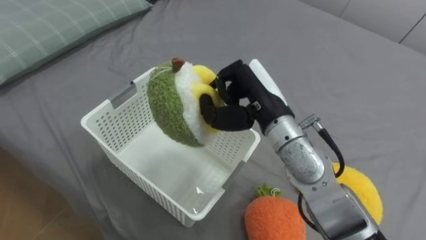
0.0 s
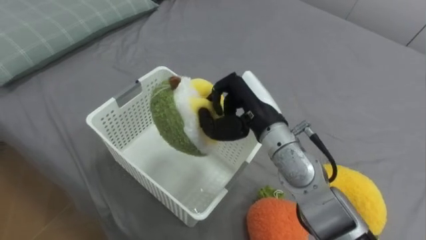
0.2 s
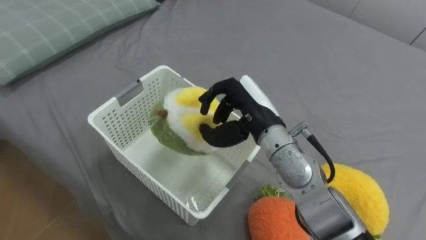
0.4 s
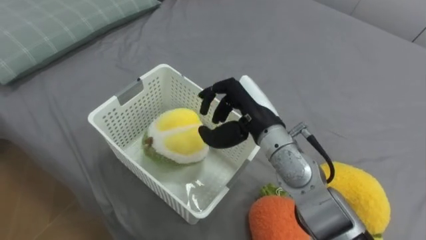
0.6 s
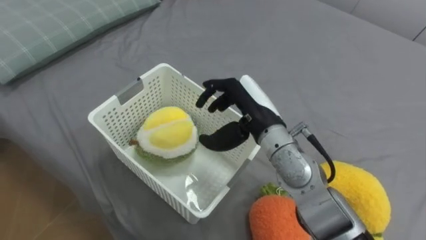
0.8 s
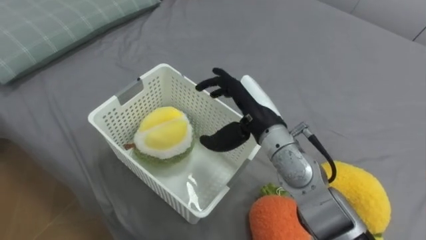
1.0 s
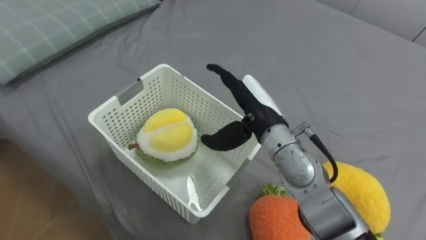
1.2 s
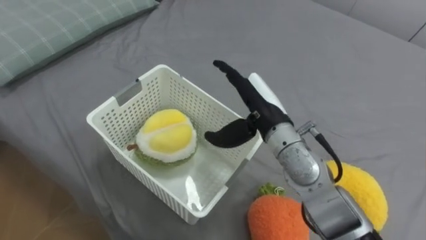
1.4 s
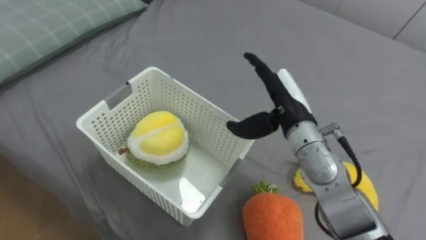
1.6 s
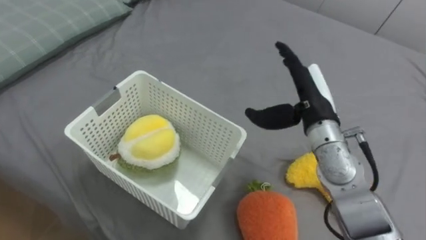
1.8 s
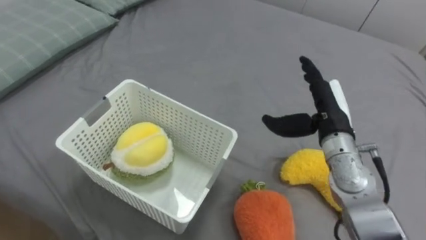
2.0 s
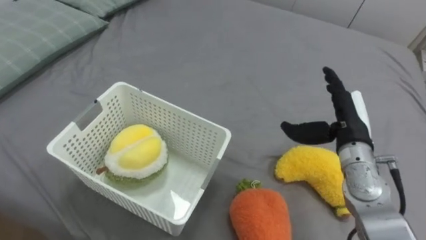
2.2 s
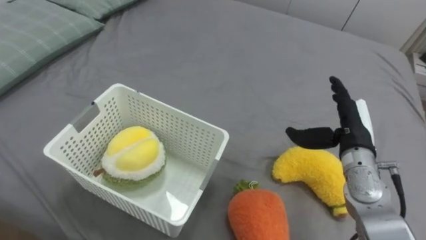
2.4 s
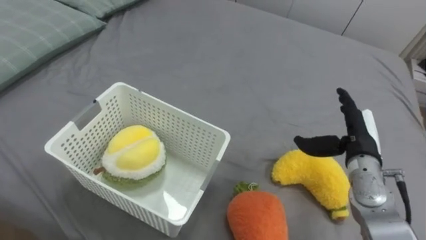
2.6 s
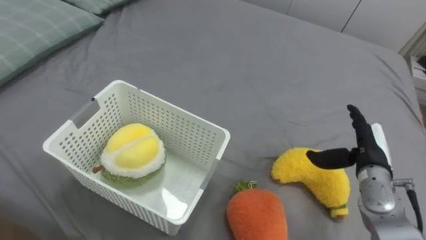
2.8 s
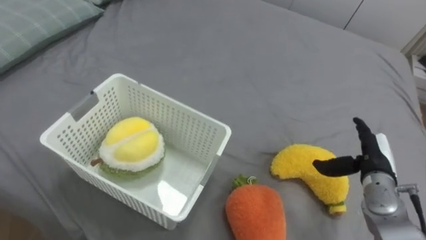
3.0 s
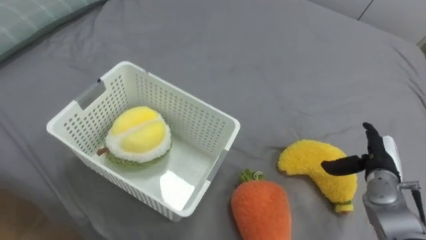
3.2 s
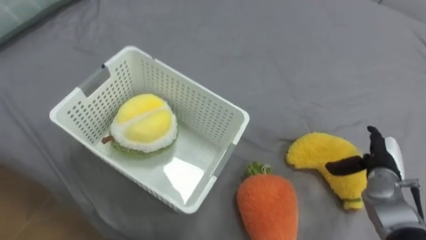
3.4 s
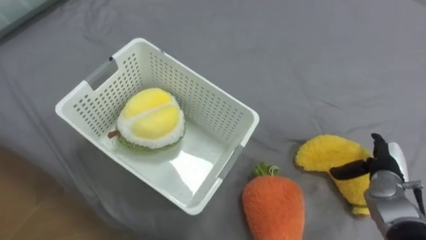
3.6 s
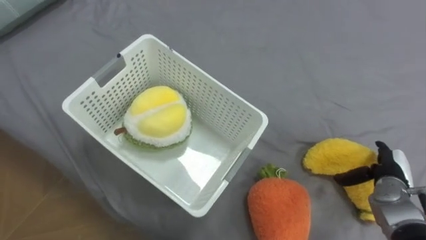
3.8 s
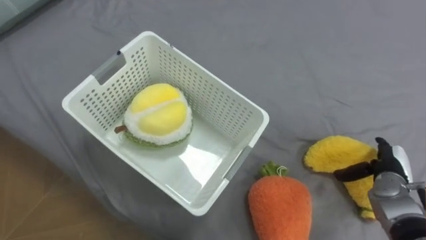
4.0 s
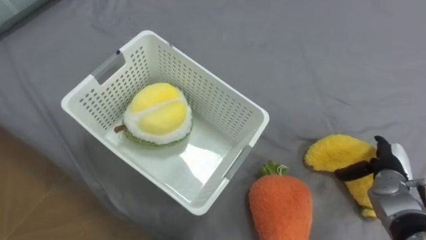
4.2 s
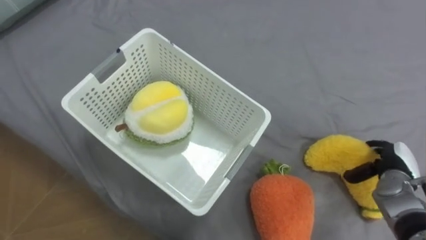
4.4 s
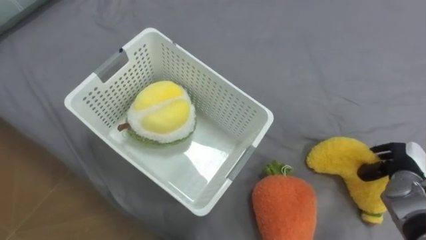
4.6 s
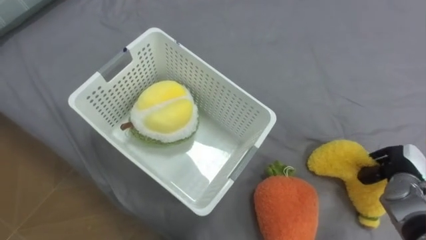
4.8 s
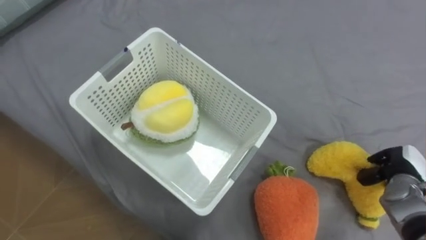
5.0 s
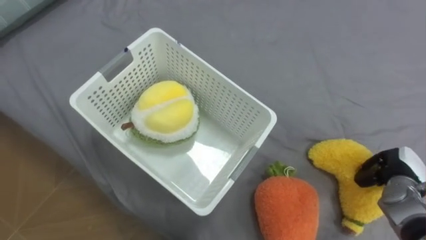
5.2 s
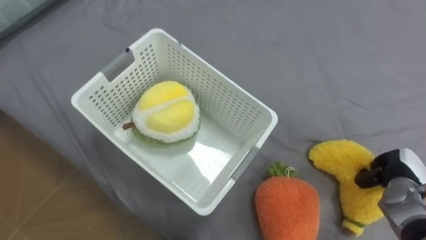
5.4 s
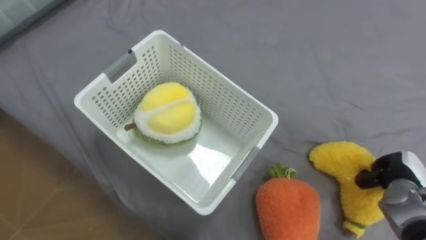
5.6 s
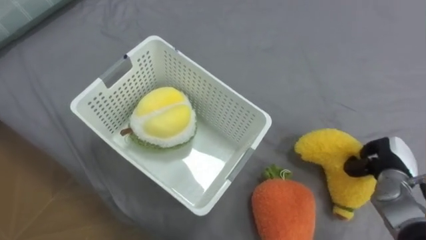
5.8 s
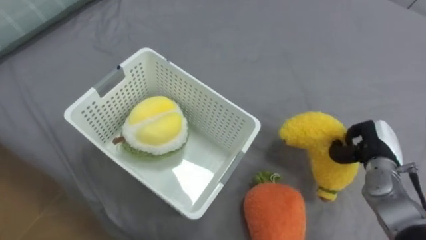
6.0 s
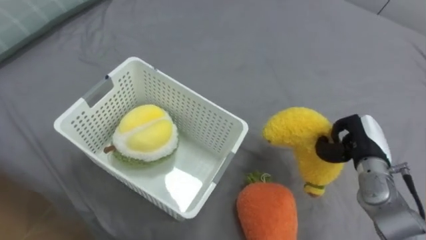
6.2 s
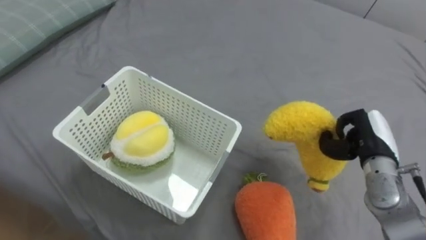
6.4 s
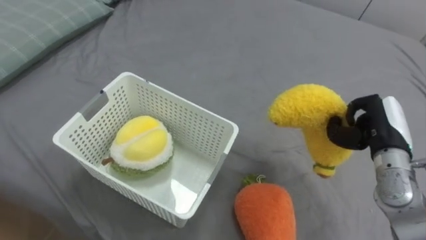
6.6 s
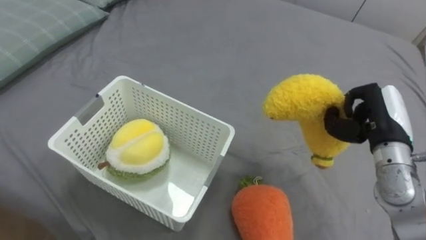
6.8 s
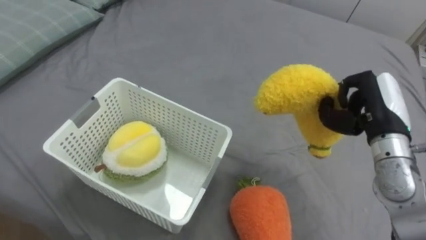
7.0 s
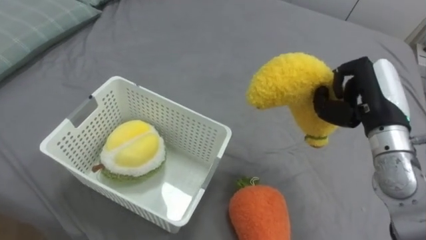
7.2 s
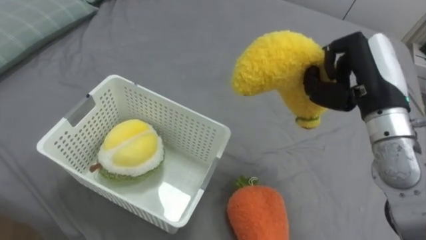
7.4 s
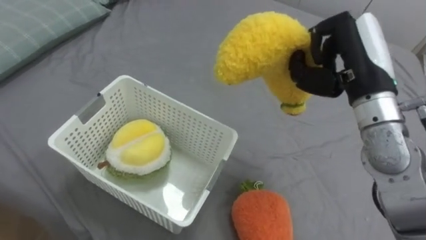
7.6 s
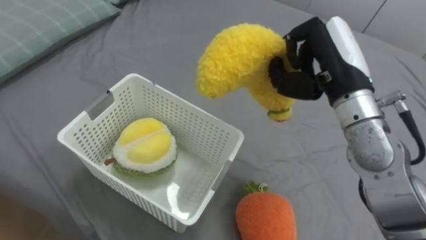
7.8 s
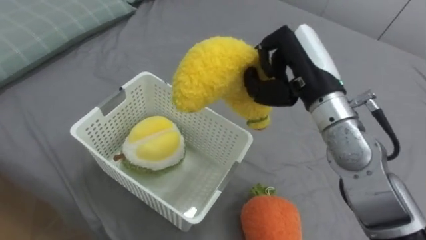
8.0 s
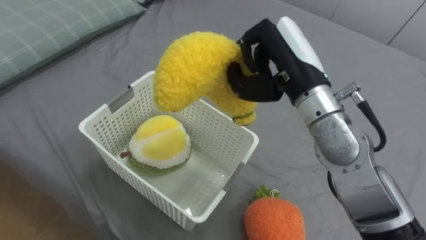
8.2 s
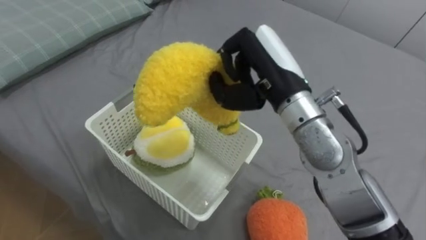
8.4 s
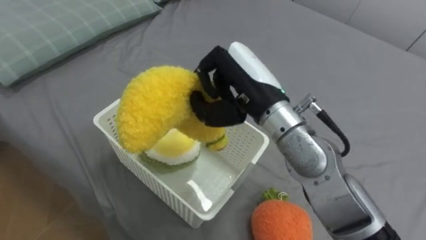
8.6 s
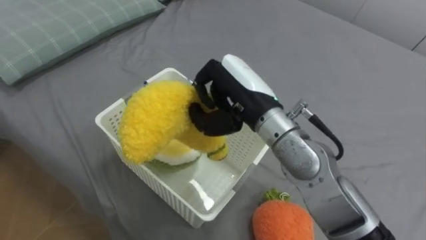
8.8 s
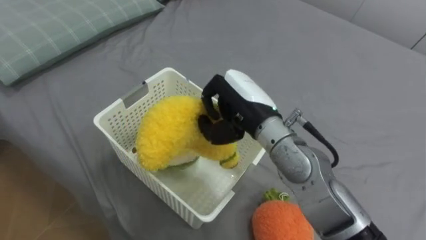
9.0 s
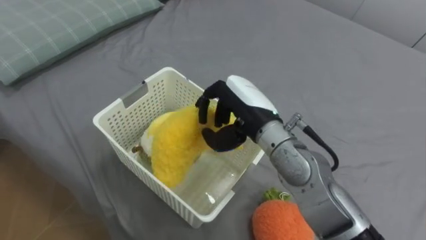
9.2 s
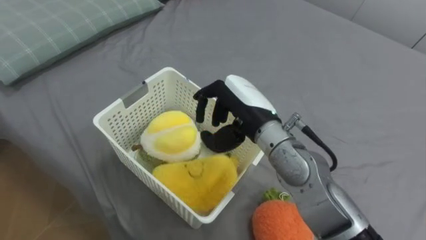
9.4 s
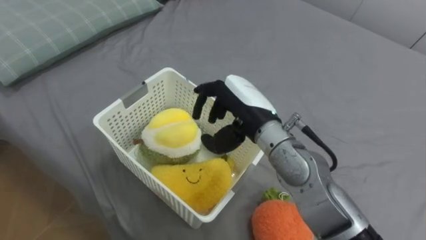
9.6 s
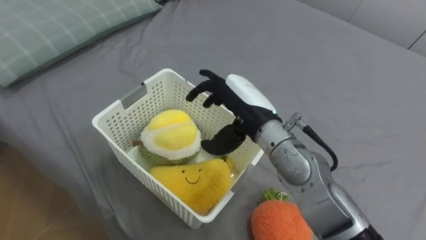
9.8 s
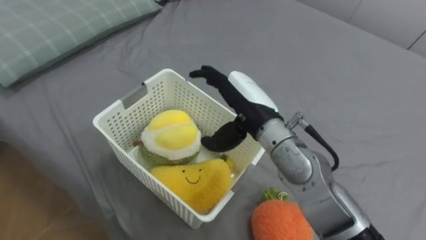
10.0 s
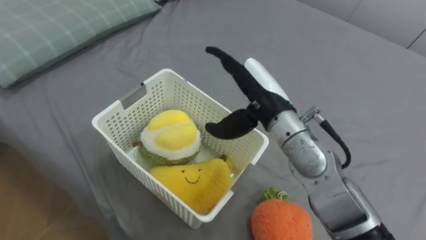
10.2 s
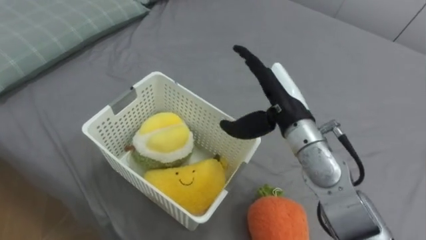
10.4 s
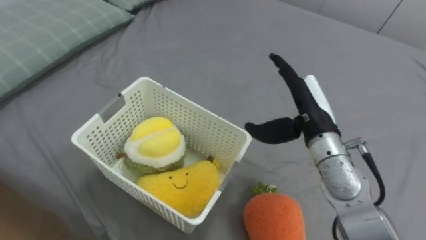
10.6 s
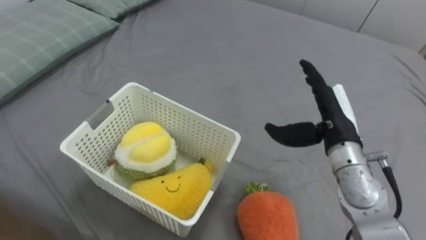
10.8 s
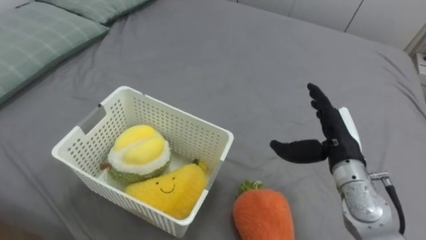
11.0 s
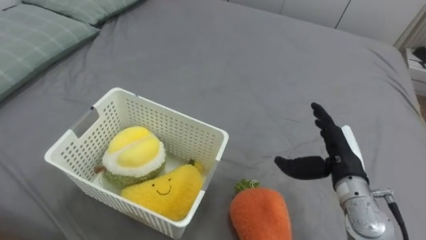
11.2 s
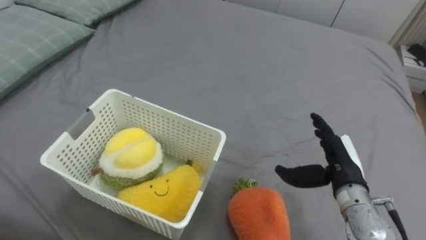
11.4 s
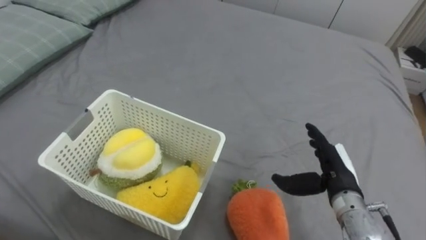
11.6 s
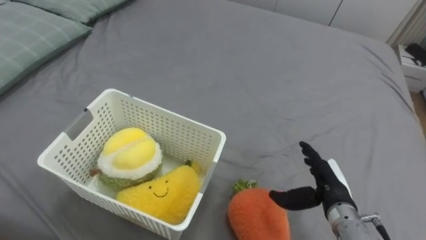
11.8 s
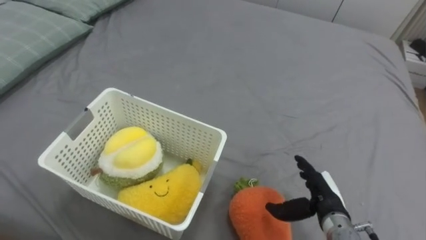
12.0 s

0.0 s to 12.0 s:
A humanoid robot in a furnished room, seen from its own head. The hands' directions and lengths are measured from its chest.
Task of the whole recording: Put the toys on the bed into the basket on the left.
0.0 to 1.6 s: The right hand is displaced to the right by approximately 5 cm, and opens its fingers.
1.6 to 3.0 s: The right hand heads to the right and downward, covering approximately 20 cm.
3.0 to 4.4 s: The right hand goes some 5 cm to the right.
4.4 to 6.0 s: The right hand changes place by about 5 cm, and closes its fingers.
6.0 to 7.6 s: The right hand travels upward and to the left by roughly 25 cm.
7.6 to 9.0 s: The right hand travels to the left and downward by roughly 15 cm.
9.0 to 10.4 s: The right hand shifts approximately 5 cm to the right, and opens its fingers.
10.4 to 12.0 s: The right hand moves downward, to the right and backward, some 25 cm.

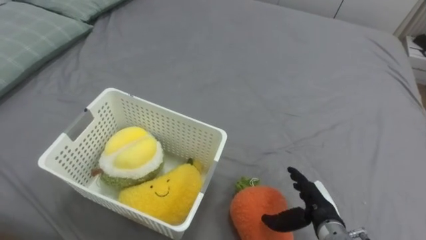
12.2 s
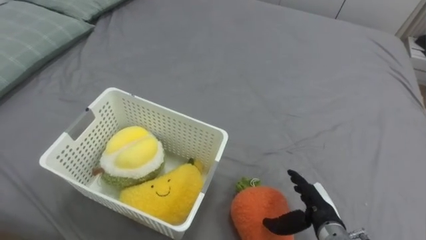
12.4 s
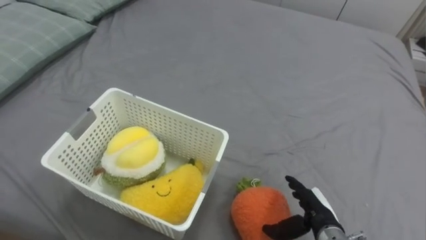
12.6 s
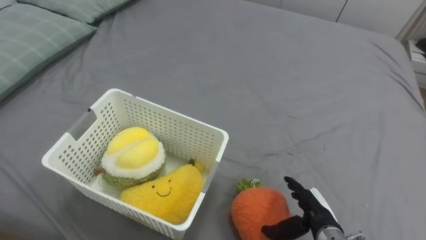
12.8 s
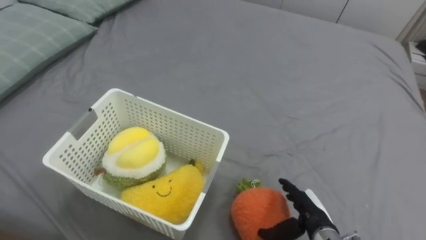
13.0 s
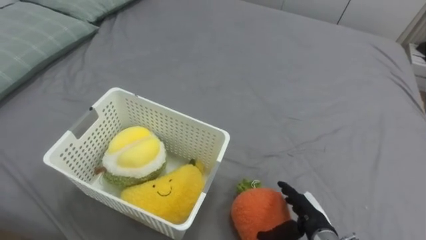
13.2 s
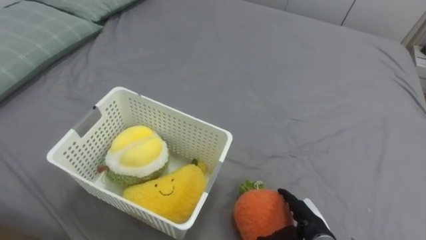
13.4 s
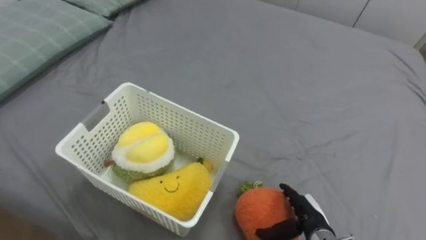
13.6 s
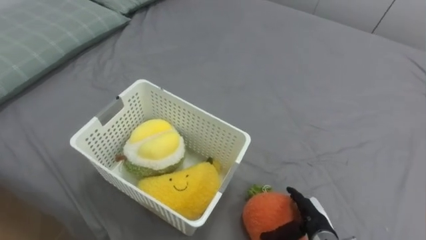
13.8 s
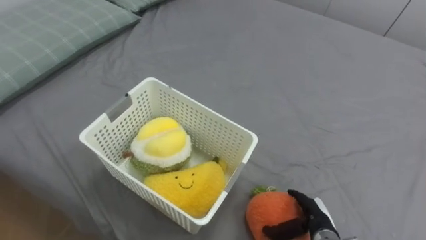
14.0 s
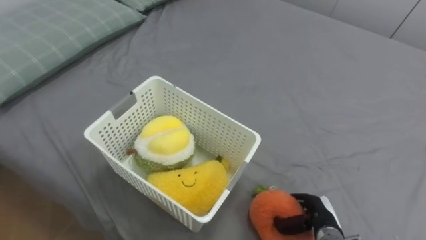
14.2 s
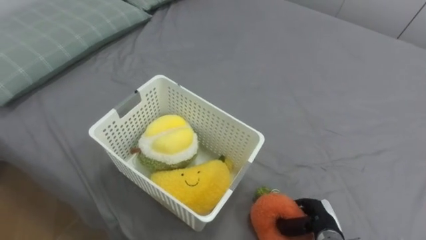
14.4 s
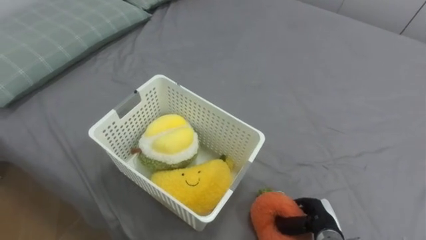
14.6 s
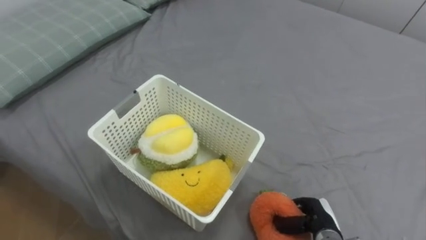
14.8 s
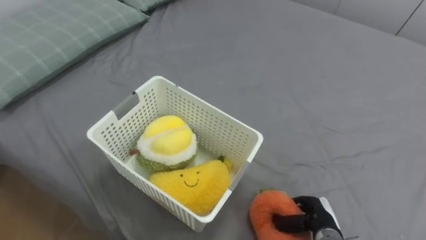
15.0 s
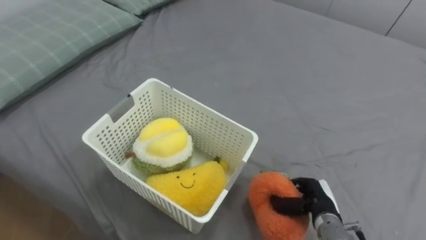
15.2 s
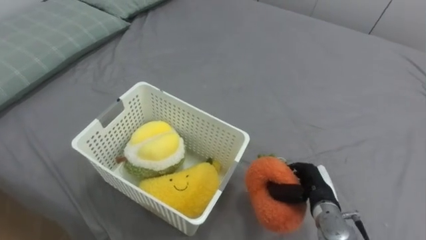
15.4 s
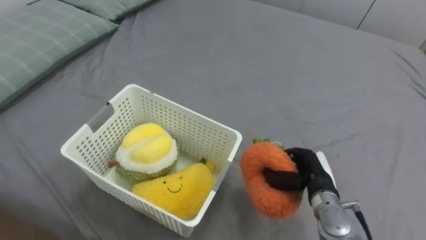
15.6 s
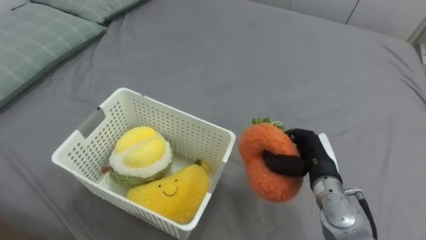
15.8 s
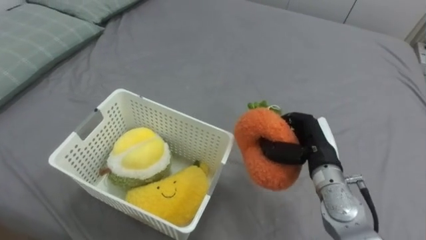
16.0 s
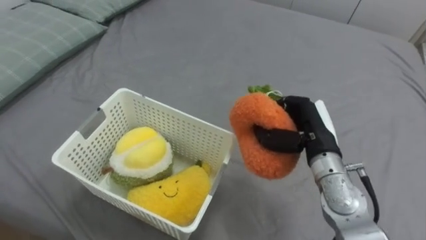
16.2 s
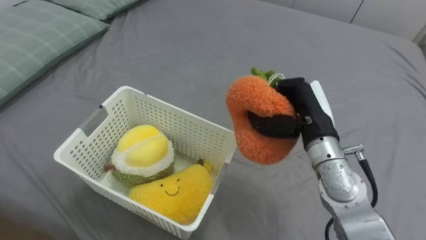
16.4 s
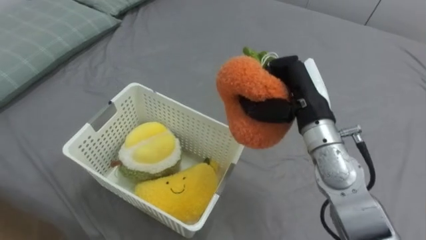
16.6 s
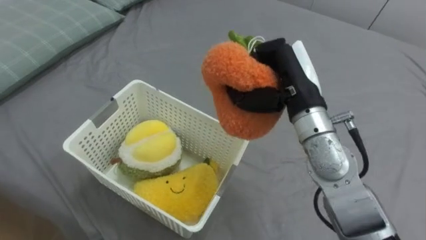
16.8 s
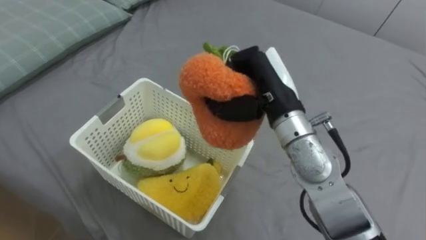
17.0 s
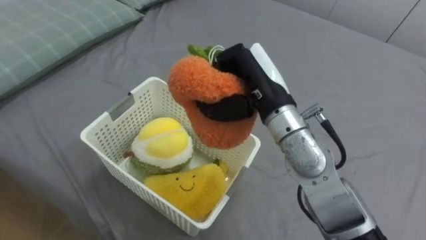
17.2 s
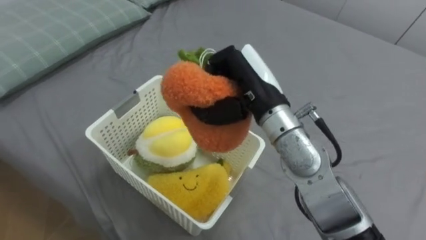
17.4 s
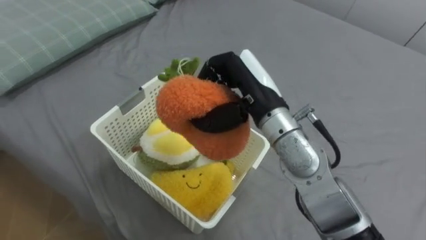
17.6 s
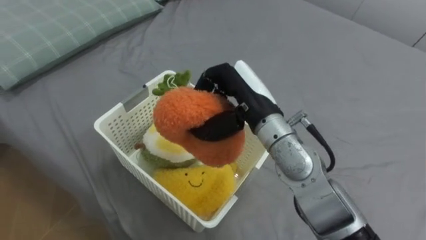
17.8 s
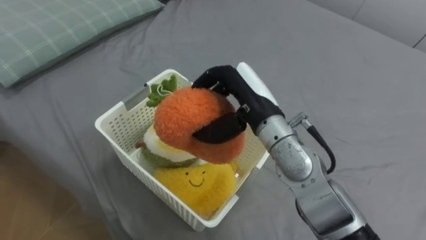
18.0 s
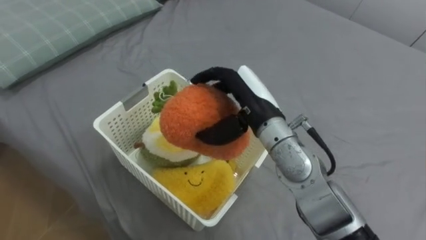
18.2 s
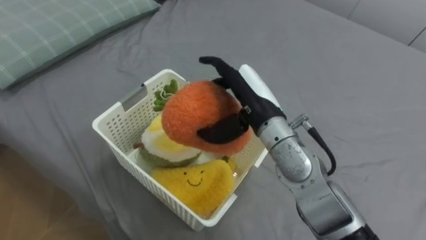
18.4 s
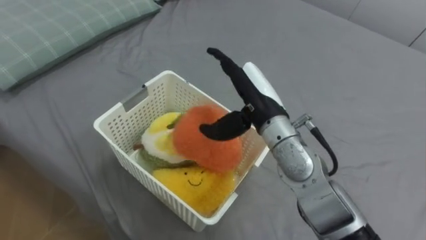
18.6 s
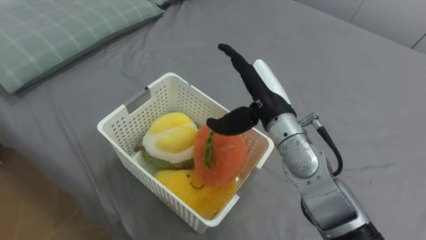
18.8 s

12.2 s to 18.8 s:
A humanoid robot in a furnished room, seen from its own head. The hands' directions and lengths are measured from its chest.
Task of the whole recording: Put the toys on the bed into the basket on the left.
13.8 to 15.4 s: The right hand is displaced forward by roughly 5 cm, and closes its fingers.
15.4 to 17.2 s: The right hand travels upward and to the left by approximately 30 cm.
17.2 to 18.8 s: The right hand opens up.
